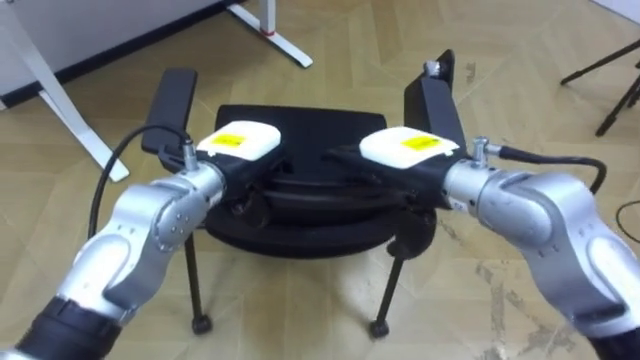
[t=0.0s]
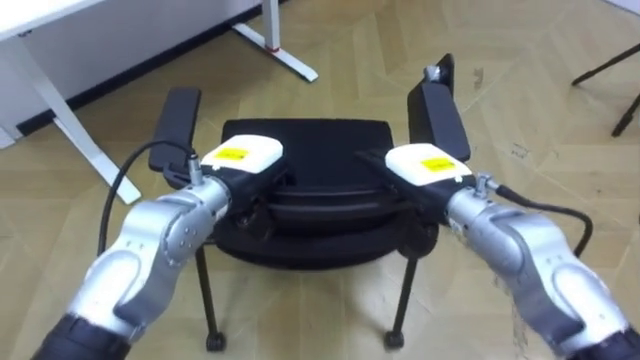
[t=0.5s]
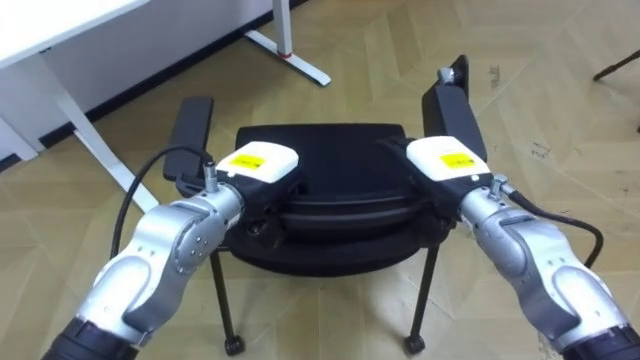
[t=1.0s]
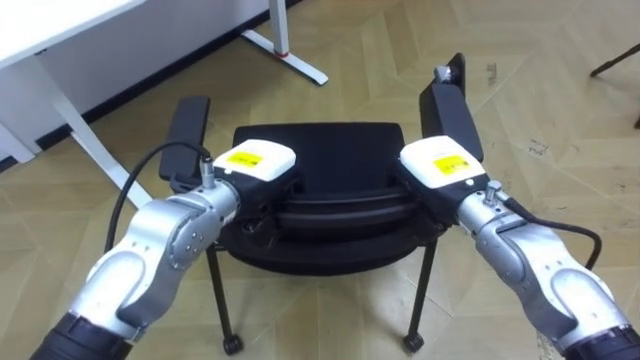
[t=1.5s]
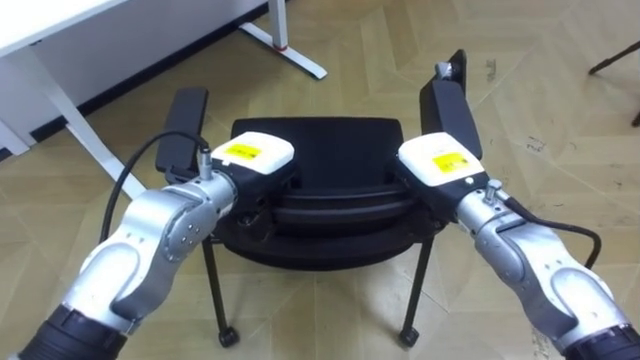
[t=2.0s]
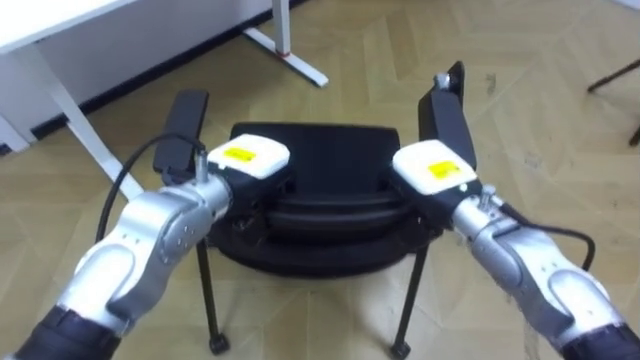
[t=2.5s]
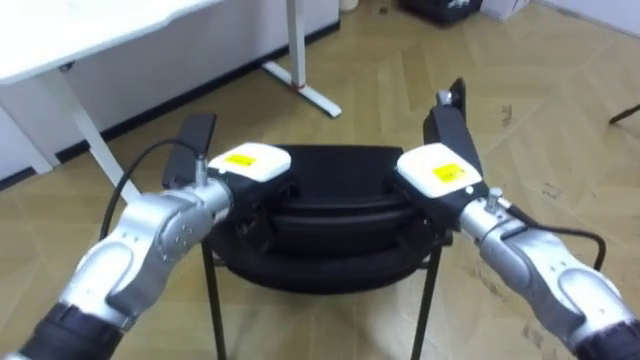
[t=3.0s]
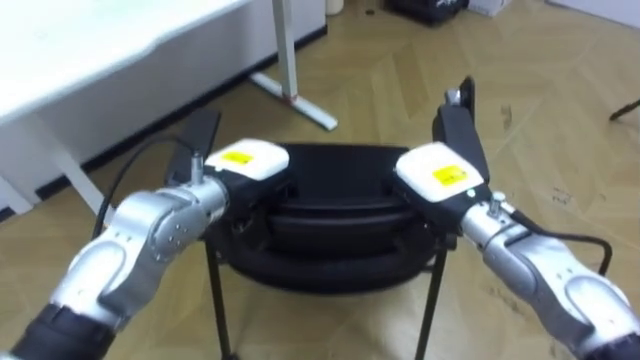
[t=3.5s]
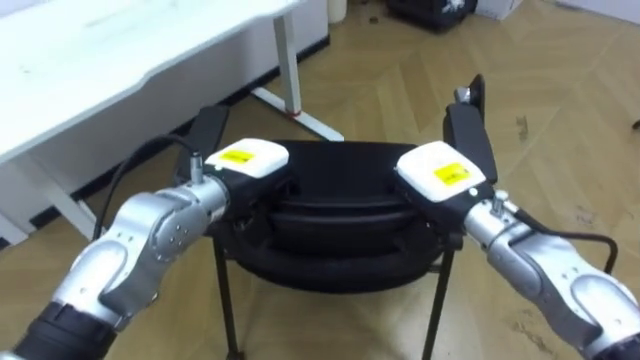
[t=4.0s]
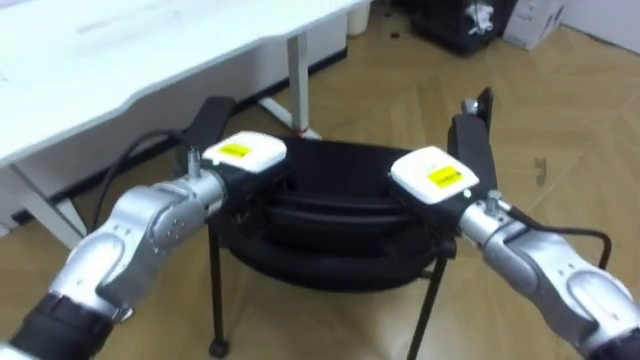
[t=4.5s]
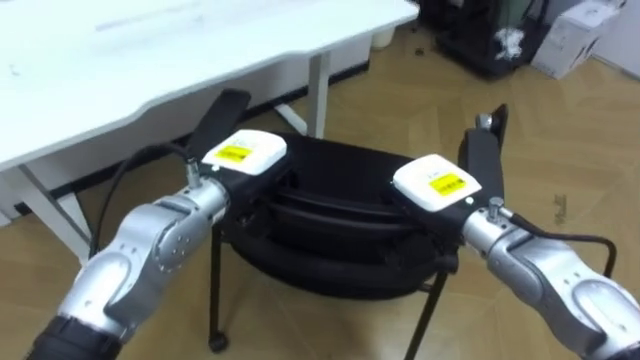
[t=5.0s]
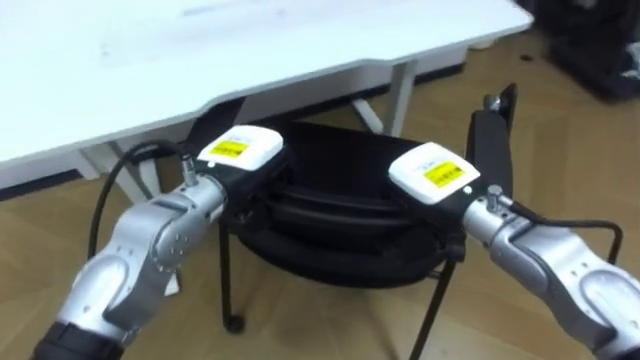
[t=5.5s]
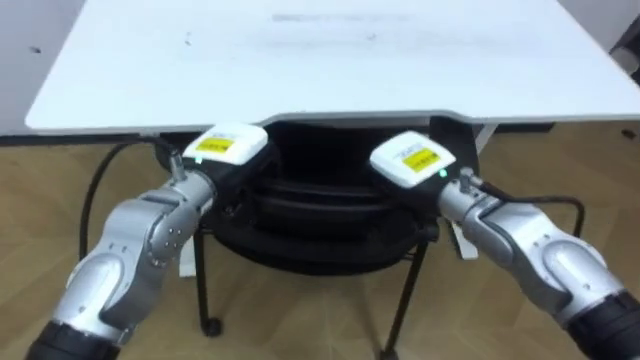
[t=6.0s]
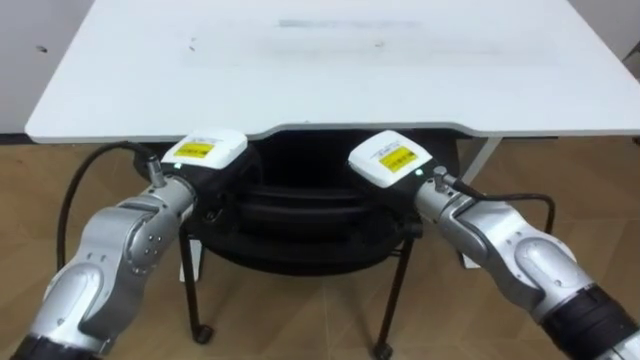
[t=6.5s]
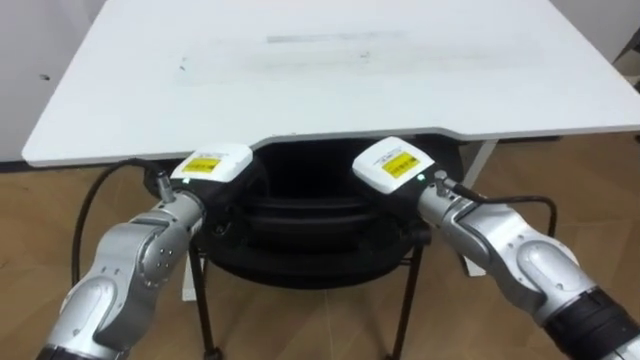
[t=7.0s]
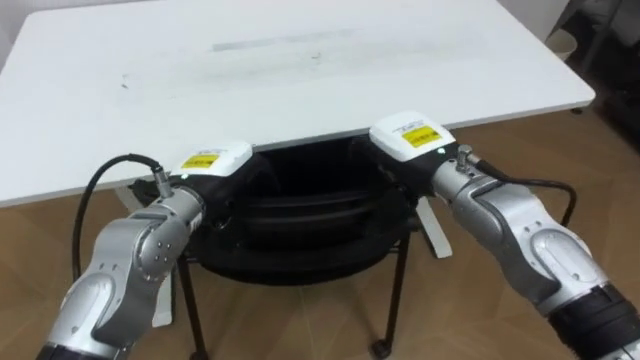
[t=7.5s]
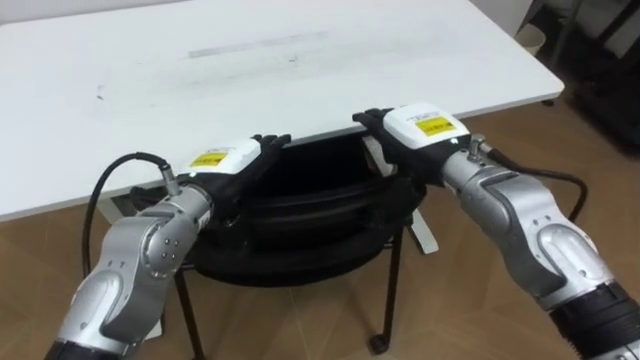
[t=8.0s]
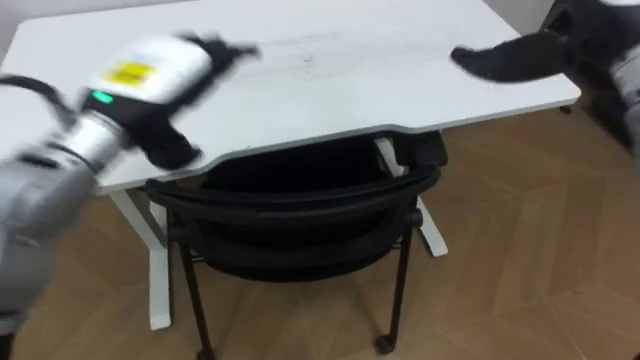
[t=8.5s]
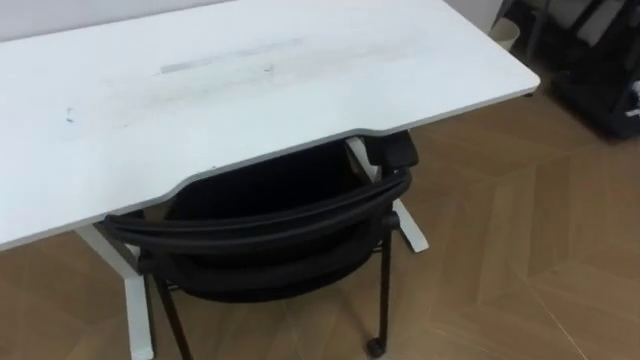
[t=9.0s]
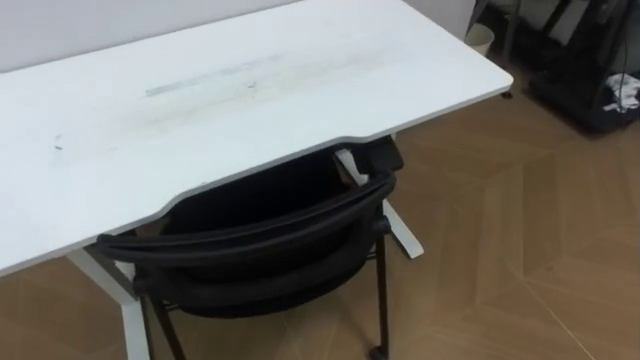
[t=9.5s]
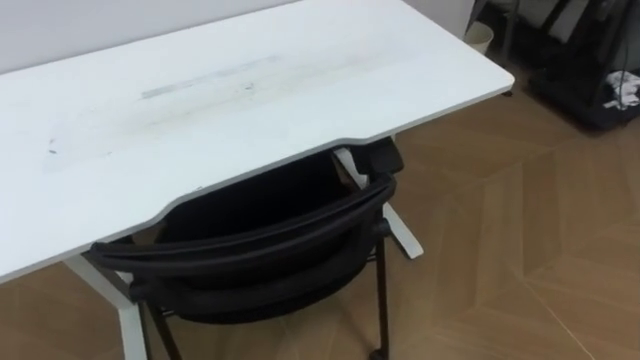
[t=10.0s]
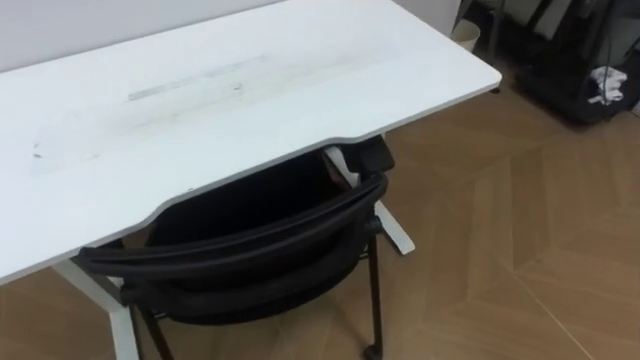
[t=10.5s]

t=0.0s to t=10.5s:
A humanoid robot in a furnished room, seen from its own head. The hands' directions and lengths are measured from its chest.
Task of the whole recording: Push the chair under the table.
t=0.0s to t=2.0s: The right hand goes roughly 10 cm downward and to the right, and closes up.
t=4.0s to t=6.5s: The right hand shifts some 5 cm to the left.
t=6.5s to t=8.5s: The left hand moves upward, roughly 10 cm, and opens its fingers, while the right hand goes approximately 25 cm upward and to the right, and opens up.
